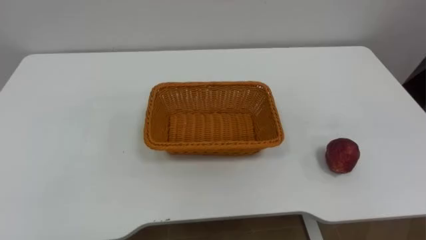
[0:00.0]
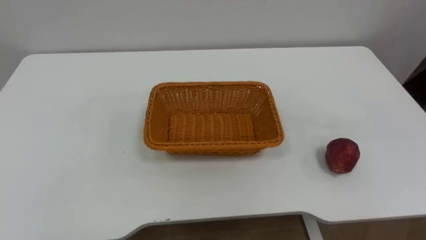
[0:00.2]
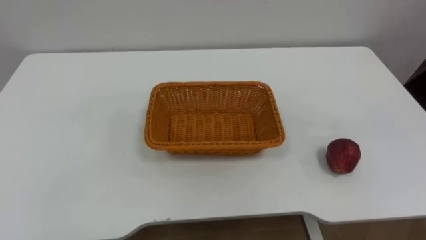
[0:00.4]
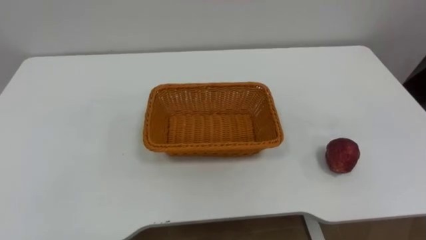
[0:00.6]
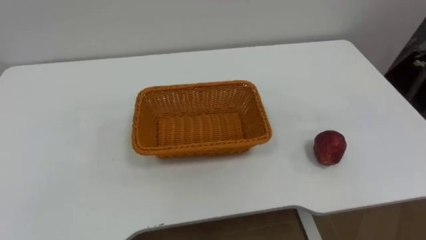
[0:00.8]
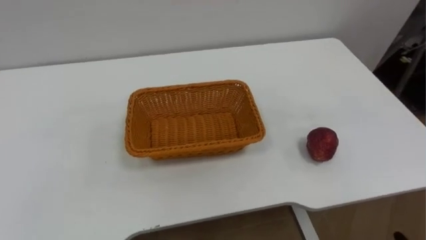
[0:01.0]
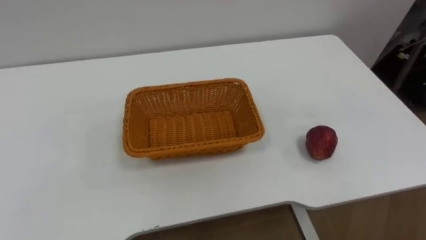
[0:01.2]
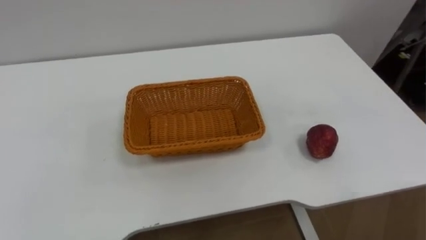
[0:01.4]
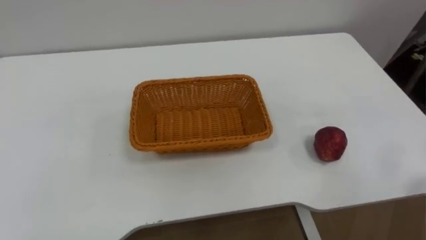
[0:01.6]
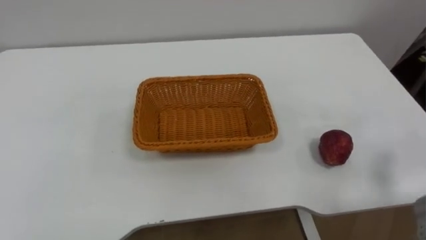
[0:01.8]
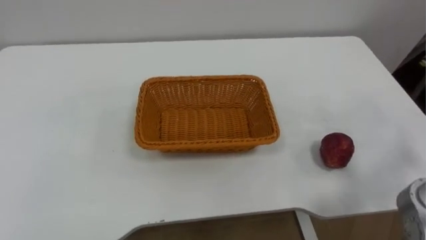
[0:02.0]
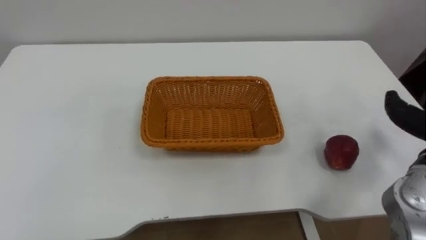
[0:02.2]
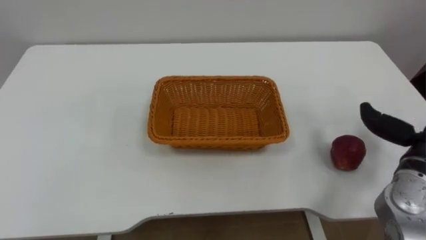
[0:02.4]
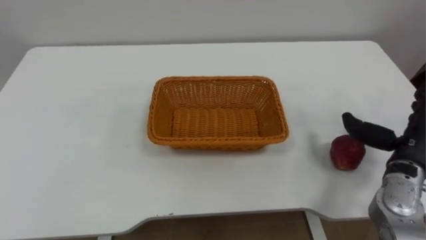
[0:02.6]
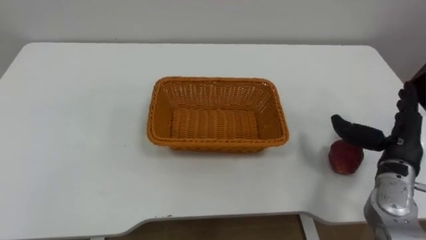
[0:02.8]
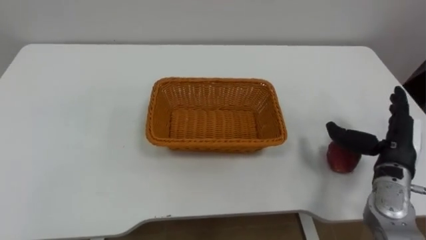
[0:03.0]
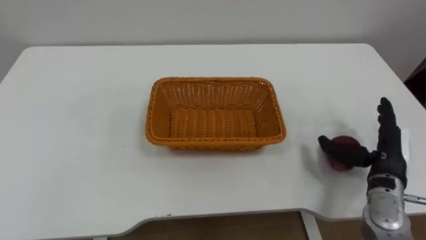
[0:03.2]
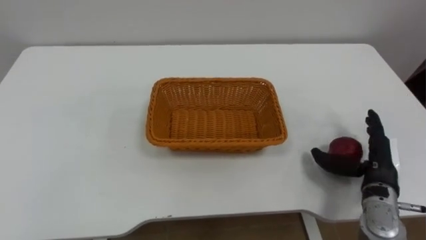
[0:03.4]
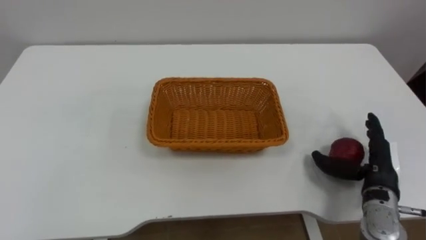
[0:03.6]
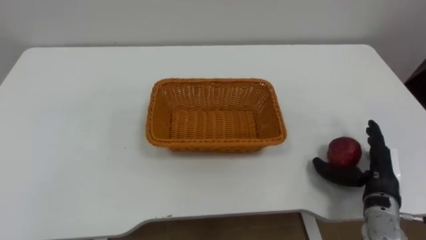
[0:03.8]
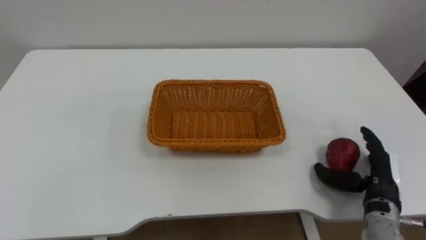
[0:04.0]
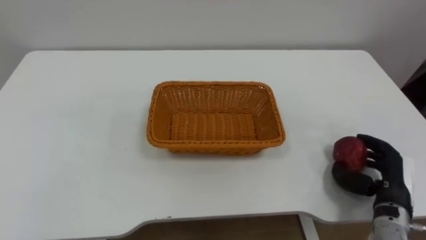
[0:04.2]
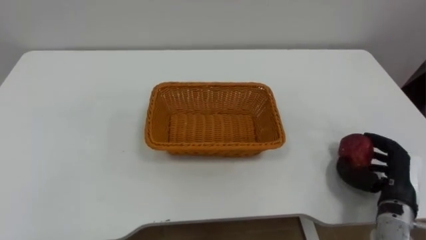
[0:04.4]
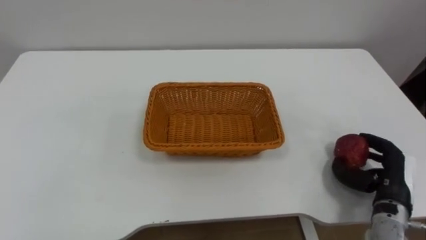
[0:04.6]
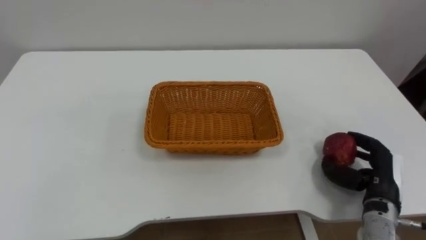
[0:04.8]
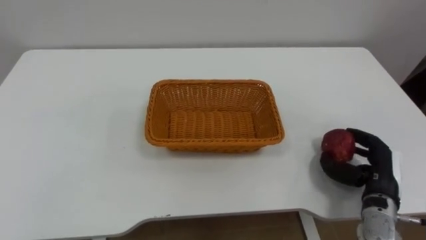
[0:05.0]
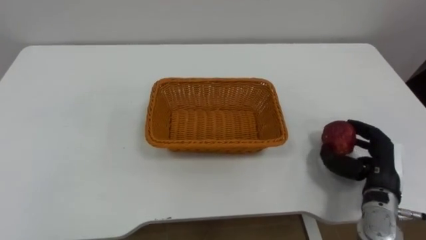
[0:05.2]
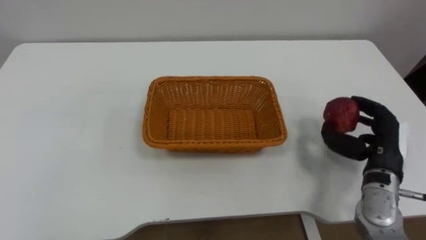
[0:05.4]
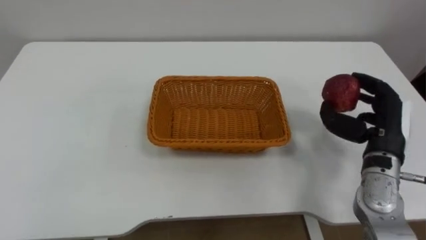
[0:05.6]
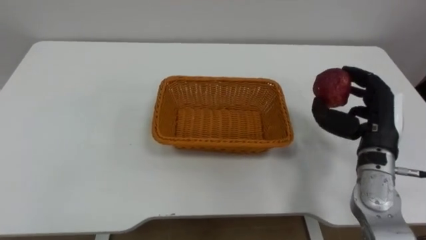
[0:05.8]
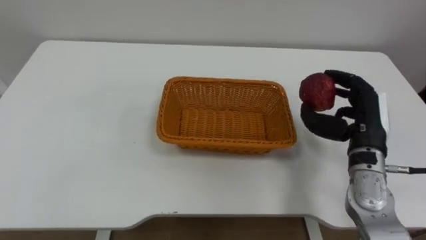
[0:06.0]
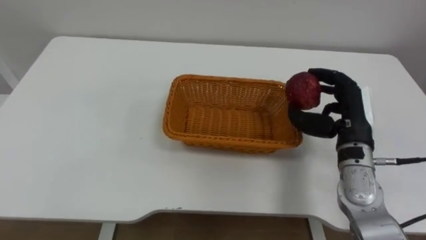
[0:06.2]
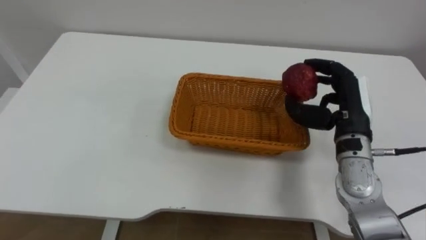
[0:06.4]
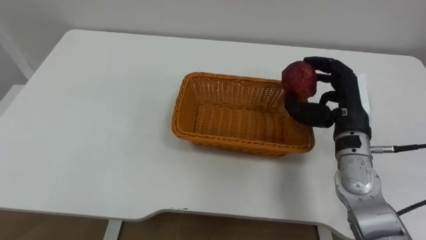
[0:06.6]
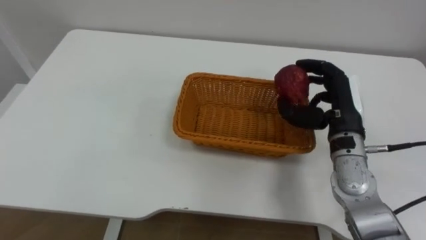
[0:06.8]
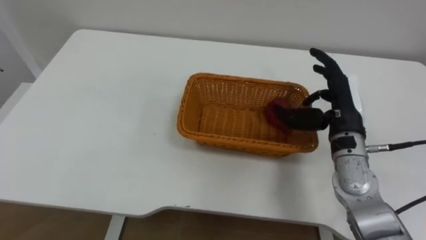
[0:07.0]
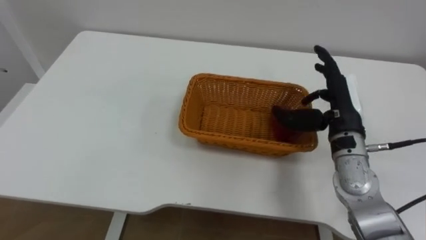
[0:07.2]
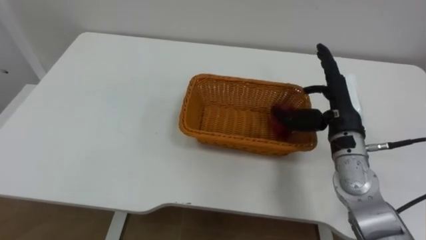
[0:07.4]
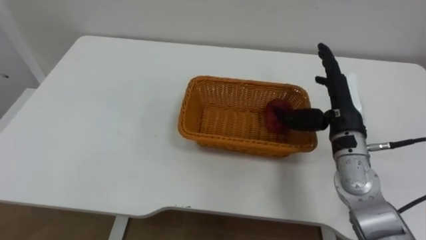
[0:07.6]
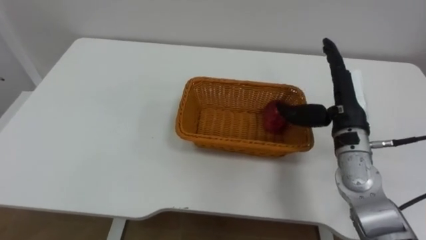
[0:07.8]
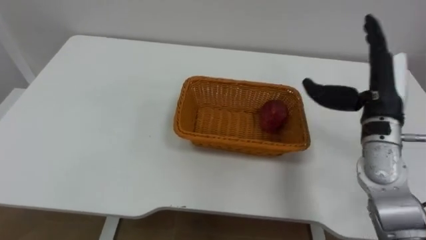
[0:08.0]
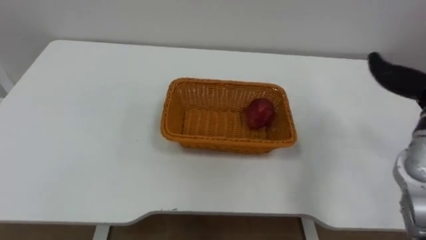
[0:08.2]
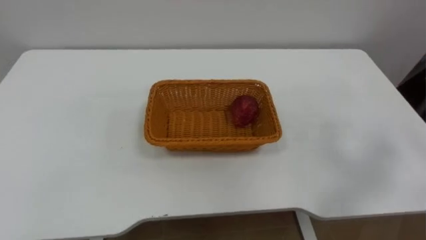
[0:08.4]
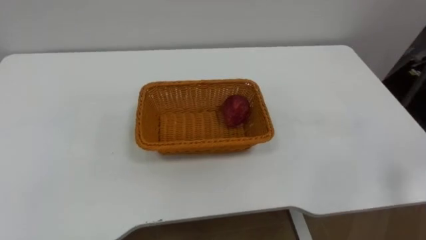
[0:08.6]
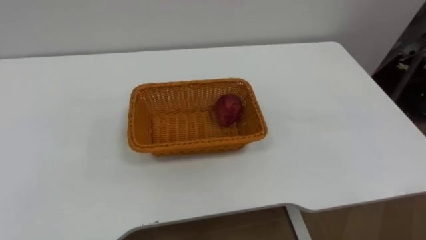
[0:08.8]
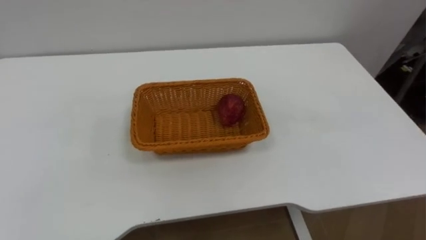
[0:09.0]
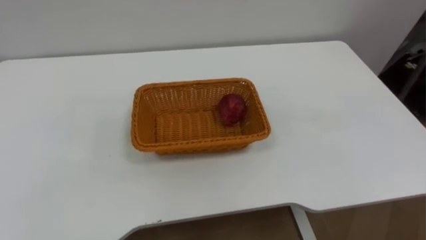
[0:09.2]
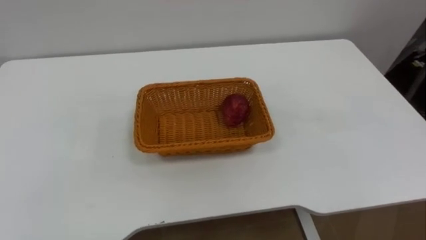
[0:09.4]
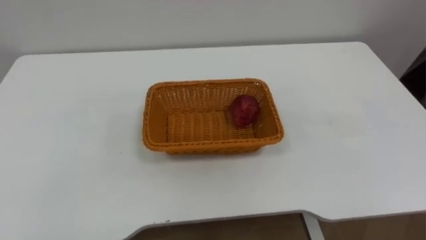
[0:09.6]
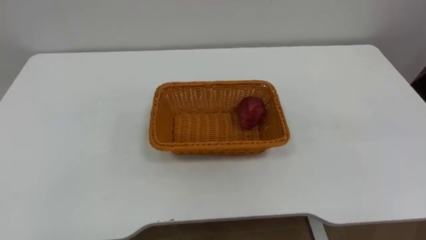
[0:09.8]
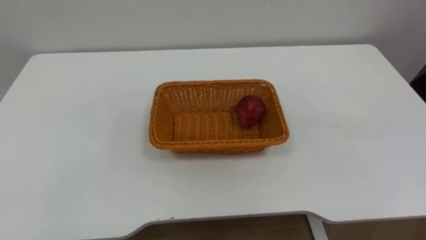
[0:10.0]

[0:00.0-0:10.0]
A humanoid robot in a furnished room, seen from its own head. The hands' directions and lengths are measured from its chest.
Task of the whole recording: Pick the apple and place it in the box.
0:02.8 to 0:04.2: The right hand is displaced downward by some 5 cm.
0:04.2 to 0:05.8: The right hand is displaced upward and forward by about 10 cm.
0:05.8 to 0:07.2: The right hand is displaced to the left by roughly 5 cm.

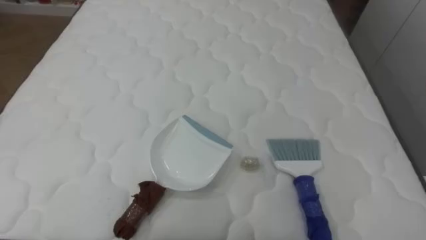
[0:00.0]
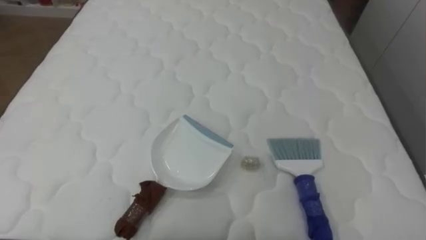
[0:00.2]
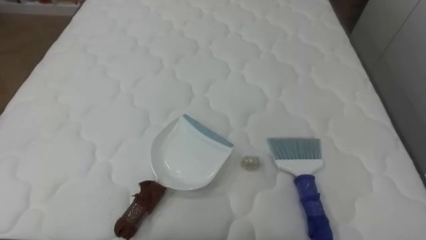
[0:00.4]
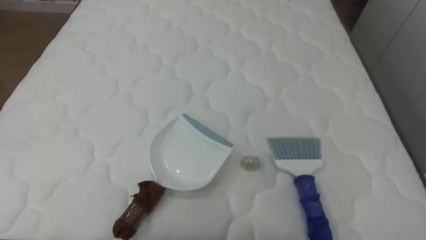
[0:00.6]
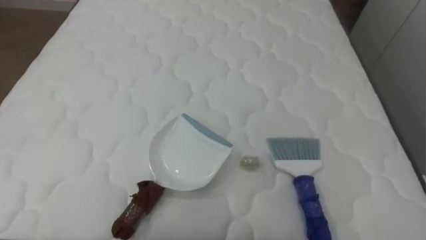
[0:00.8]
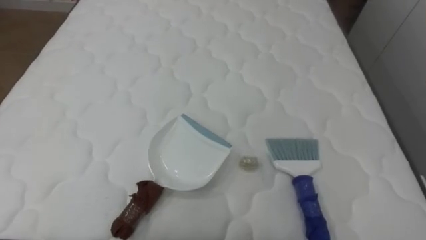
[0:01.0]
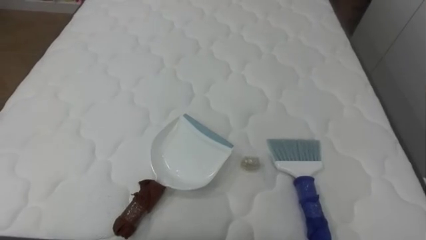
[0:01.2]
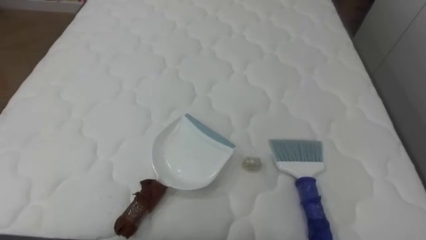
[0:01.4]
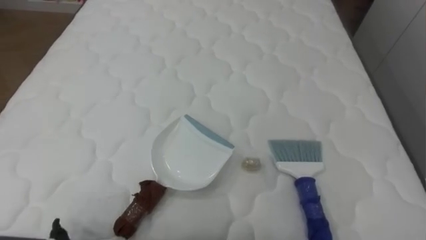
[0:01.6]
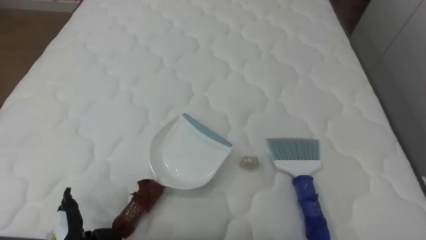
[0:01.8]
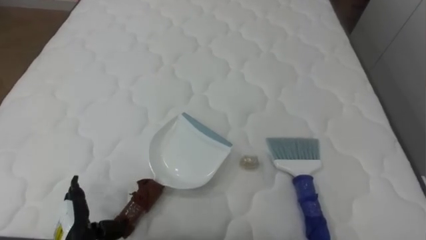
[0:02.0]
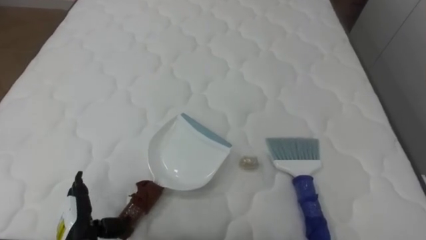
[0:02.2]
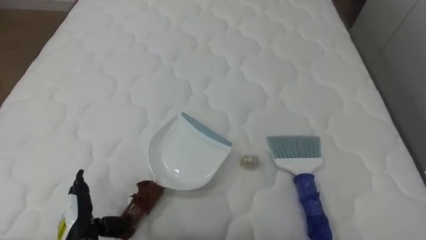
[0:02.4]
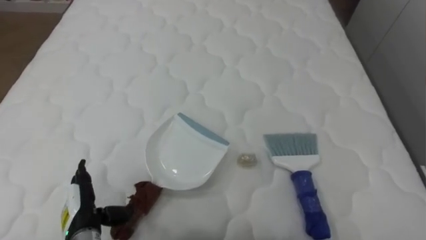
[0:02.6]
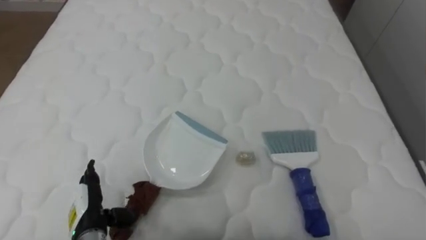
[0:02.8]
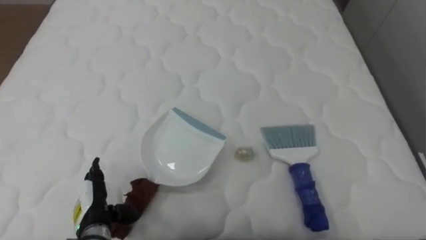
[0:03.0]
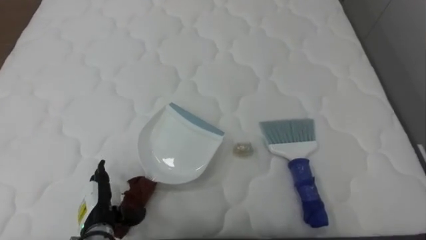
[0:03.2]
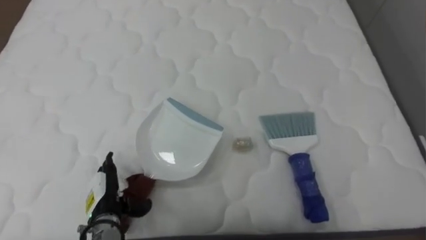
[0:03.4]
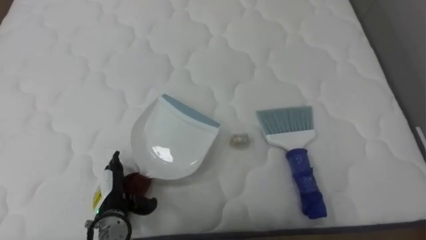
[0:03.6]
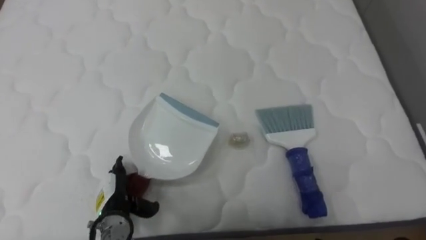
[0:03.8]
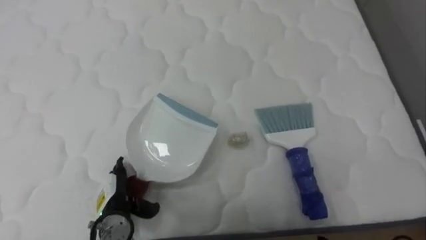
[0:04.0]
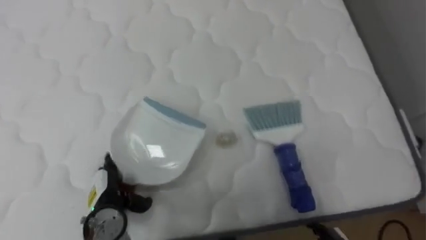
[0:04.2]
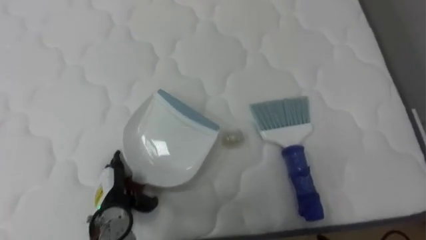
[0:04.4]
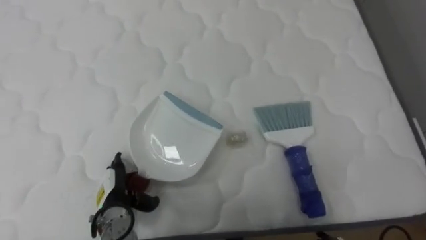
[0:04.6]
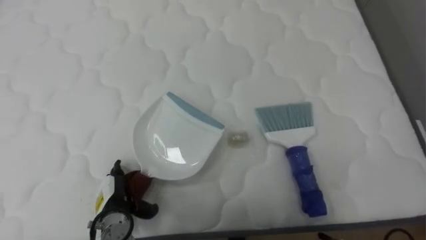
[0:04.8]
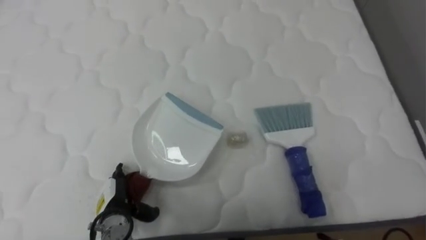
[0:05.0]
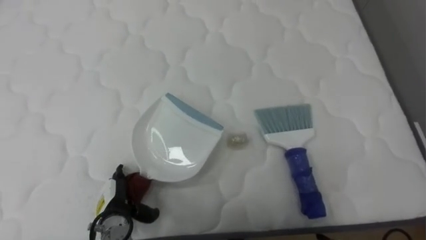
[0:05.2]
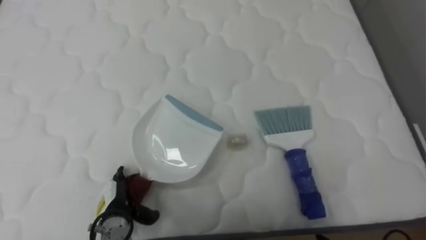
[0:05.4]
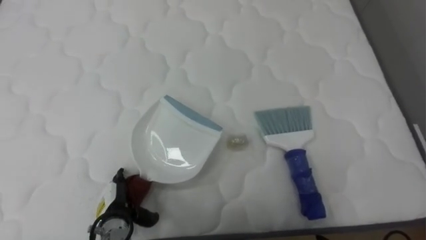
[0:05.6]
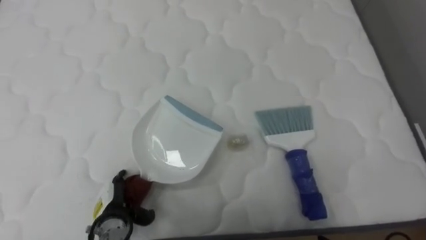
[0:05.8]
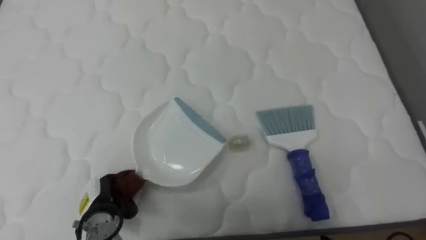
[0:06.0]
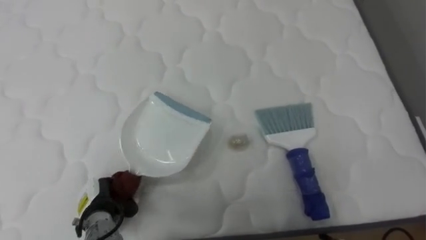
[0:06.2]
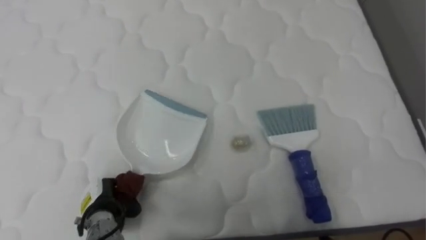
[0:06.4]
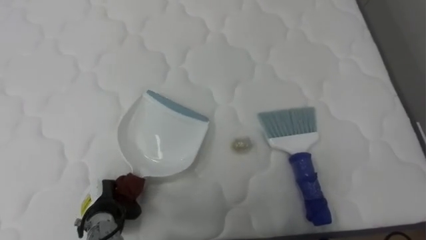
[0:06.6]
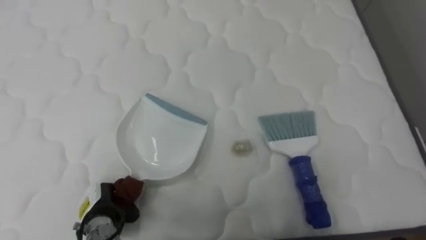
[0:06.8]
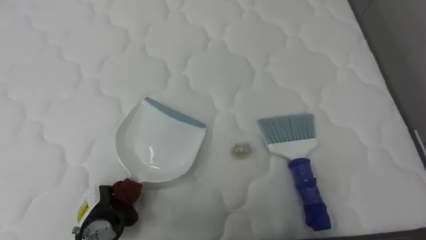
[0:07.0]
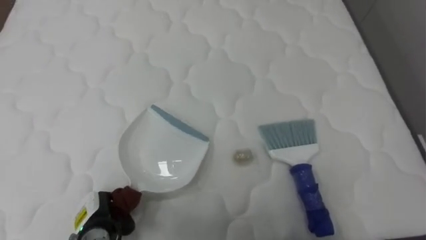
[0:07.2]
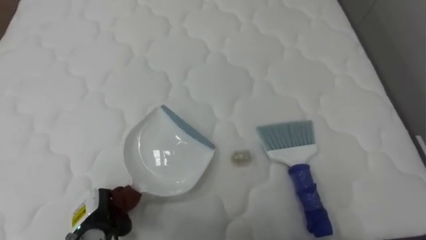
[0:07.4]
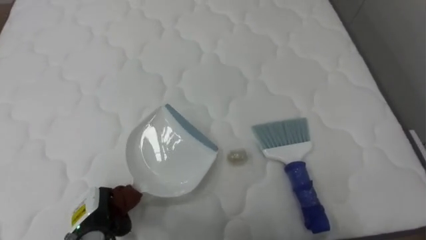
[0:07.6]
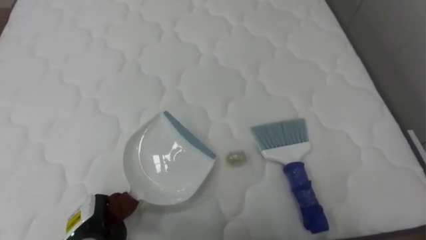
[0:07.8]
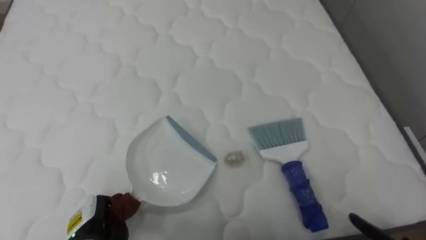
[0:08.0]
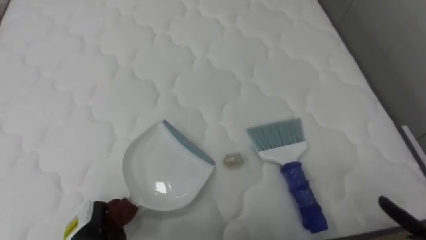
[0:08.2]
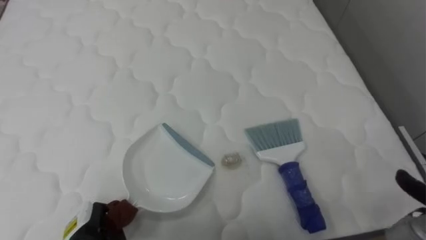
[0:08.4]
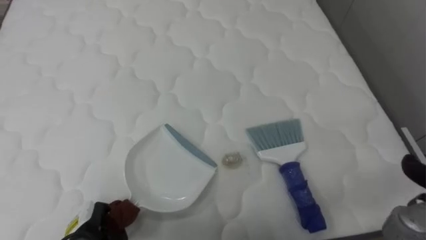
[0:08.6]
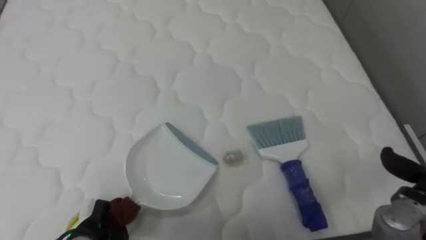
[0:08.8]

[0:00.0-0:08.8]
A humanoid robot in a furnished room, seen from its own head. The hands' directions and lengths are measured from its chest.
Task of the whole recording: Pick up the brush on your right and the dustpan on your left. Use the brush to sweep the crumpled paper on the bed into the dustpan, then turn left and empty it into the basket.
0:03.0 to 0:04.4: The left hand ends up some 5 cm from where it was.
0:05.8 to 0:07.4: The left hand closes its fingers.
